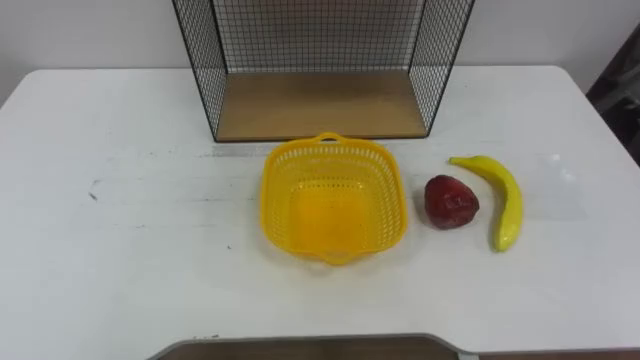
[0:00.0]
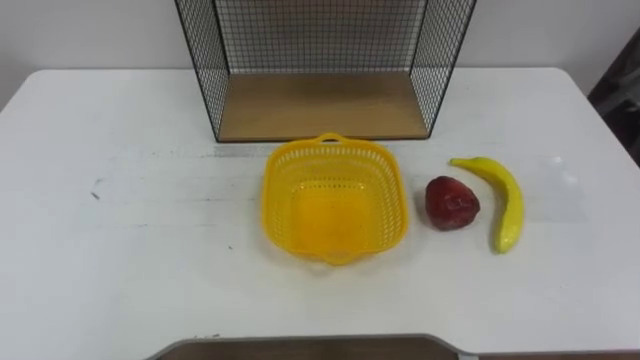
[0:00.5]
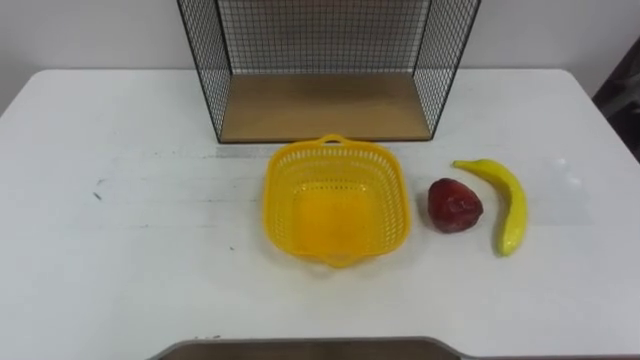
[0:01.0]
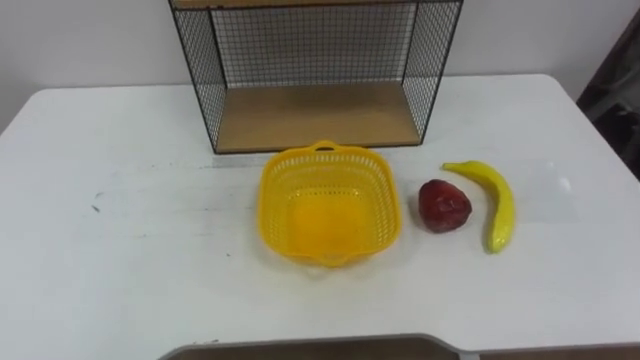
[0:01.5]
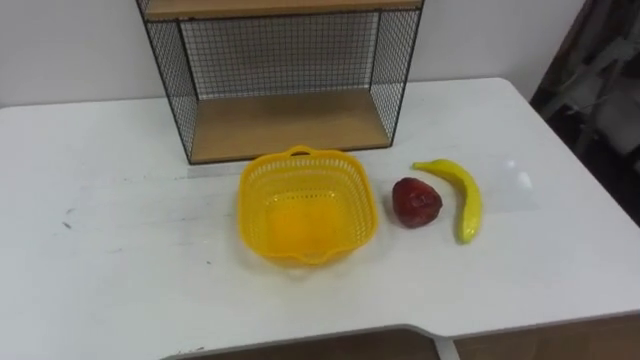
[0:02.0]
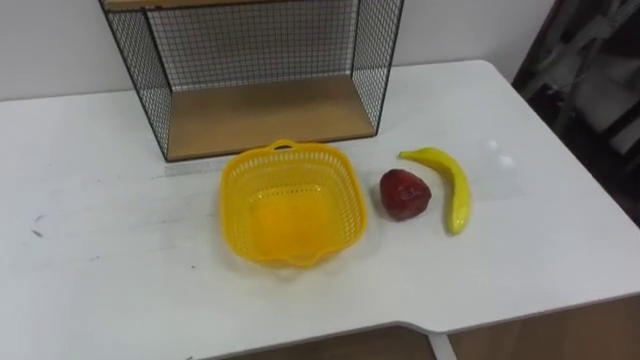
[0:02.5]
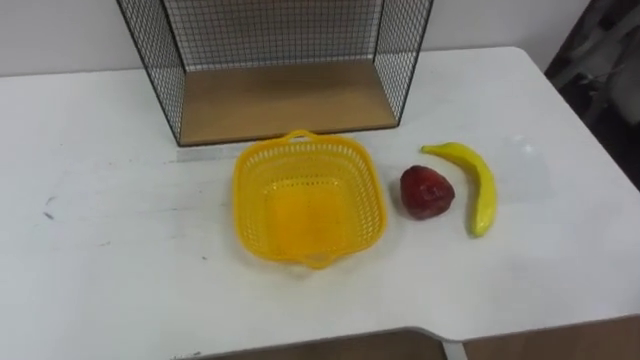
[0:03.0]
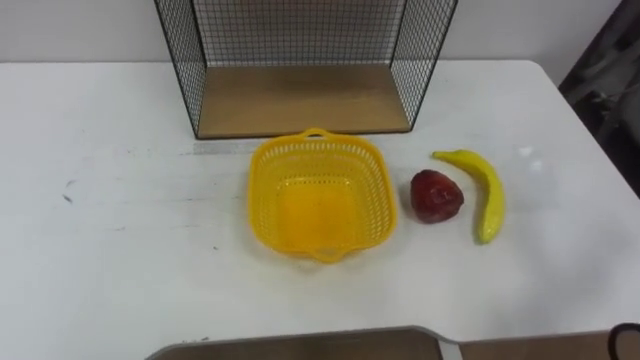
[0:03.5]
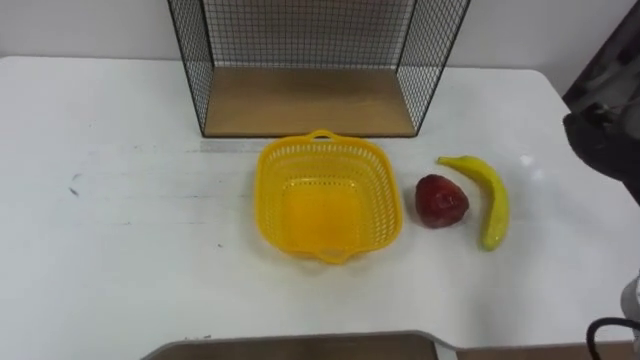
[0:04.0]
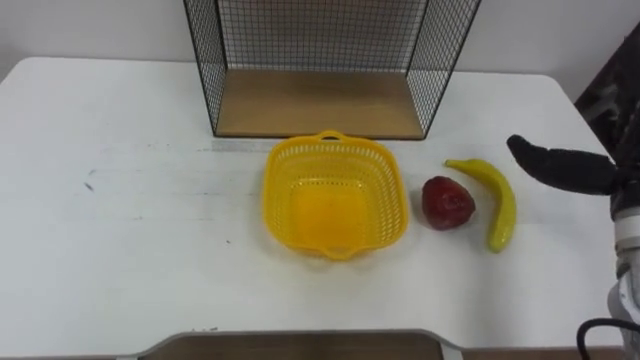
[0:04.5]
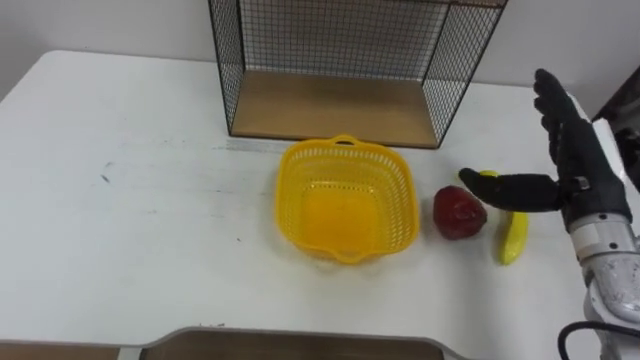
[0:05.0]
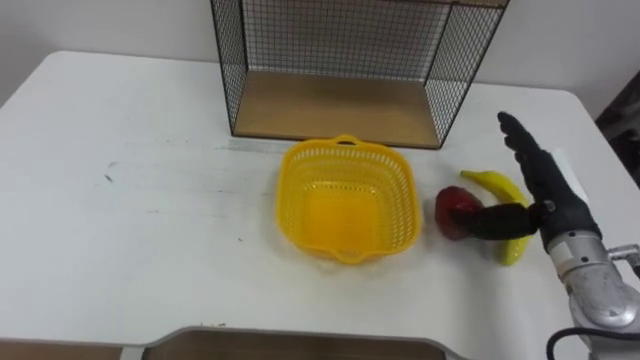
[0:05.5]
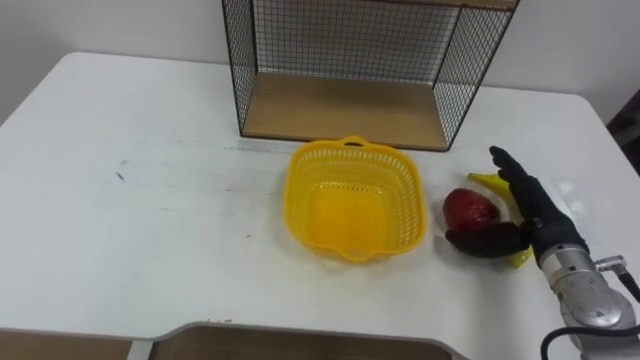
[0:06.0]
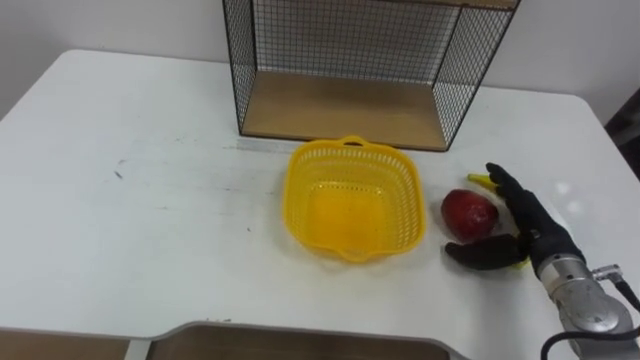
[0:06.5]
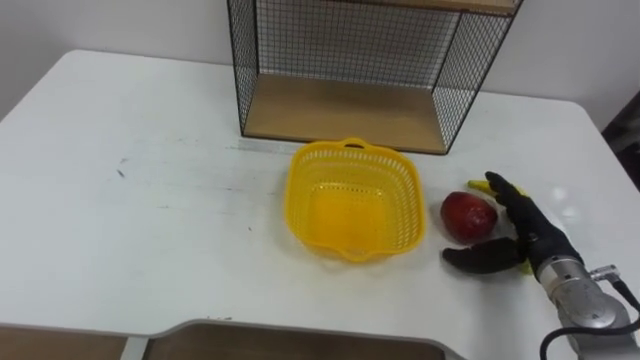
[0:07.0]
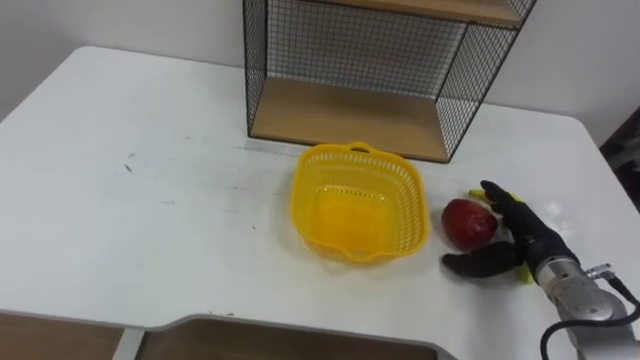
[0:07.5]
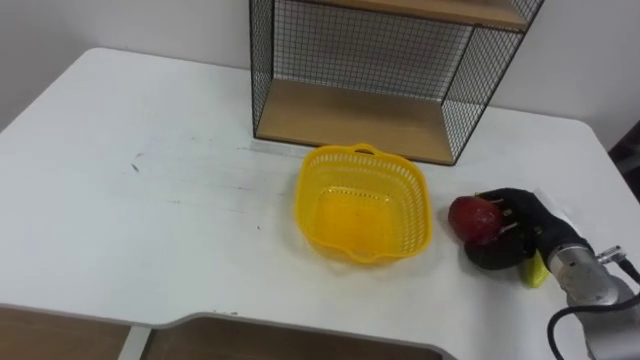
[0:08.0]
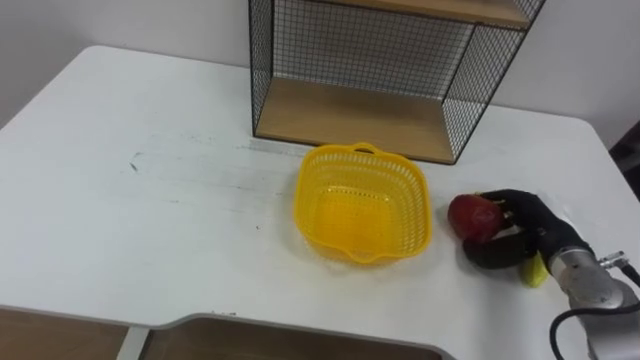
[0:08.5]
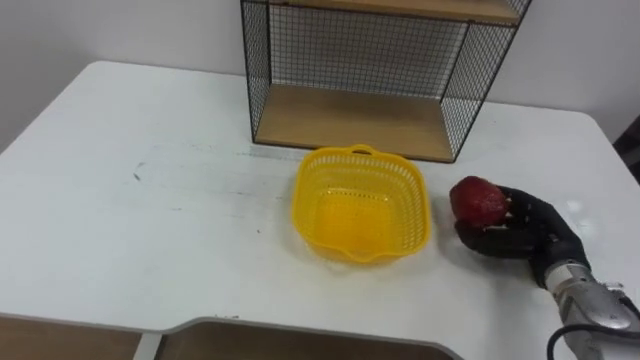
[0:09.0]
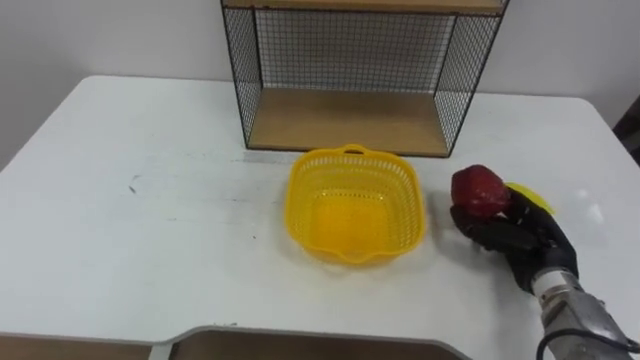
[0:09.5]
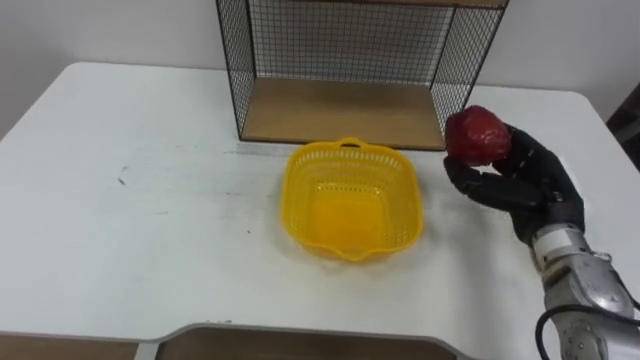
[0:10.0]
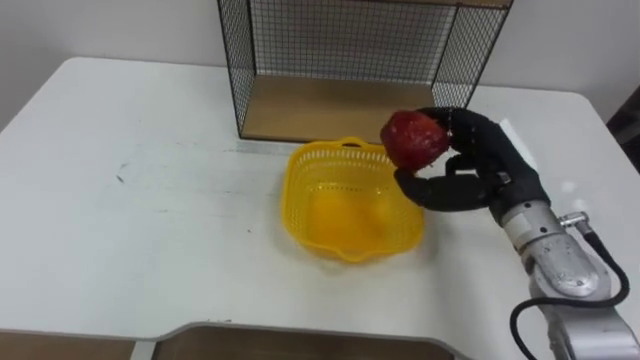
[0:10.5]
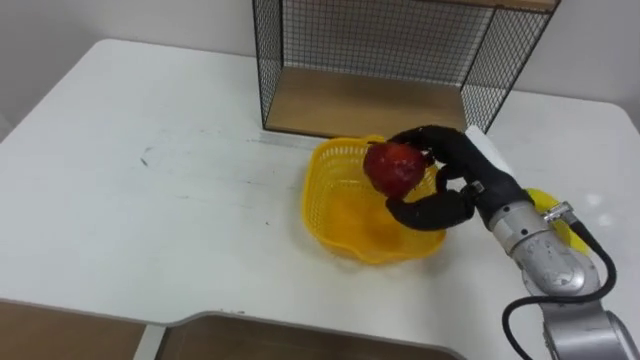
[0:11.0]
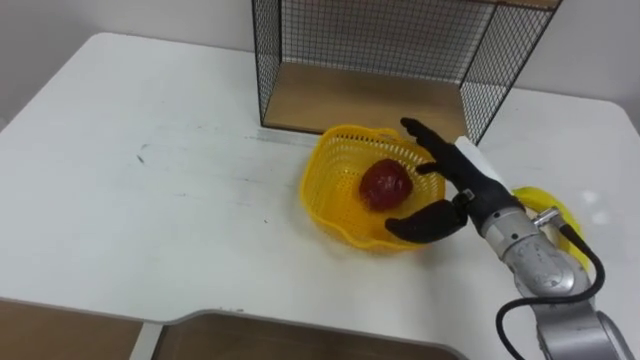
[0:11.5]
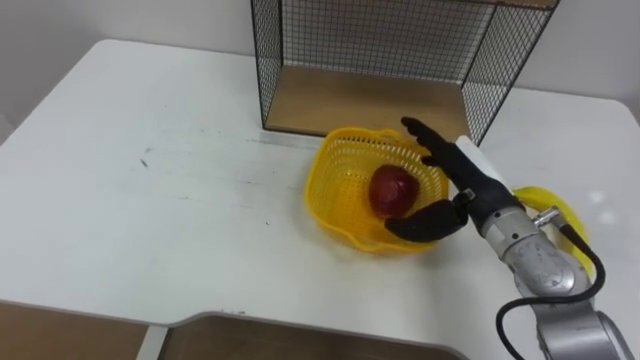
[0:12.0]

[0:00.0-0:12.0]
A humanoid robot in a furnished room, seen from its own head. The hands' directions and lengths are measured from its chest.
Task of the whole recording: Put the fruit on the table into the basket, then place the basket on the shelf.
0:06.0 to 0:08.0: The right hand closes its fingers.
0:08.0 to 0:10.0: The right hand goes roughly 5 cm upward.
0:10.0 to 0:12.0: The right hand heads to the left, covering approximately 10 cm, and opens its fingers.

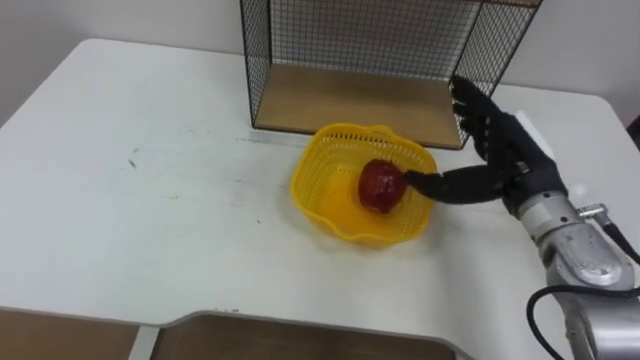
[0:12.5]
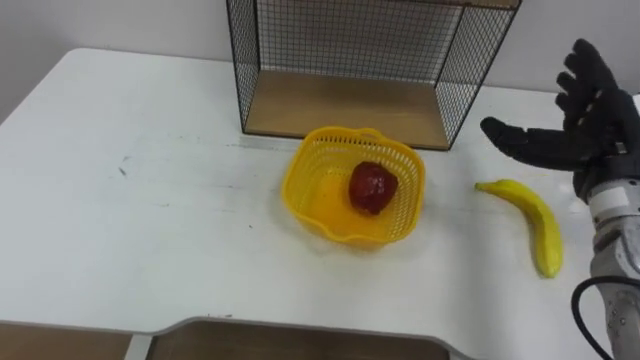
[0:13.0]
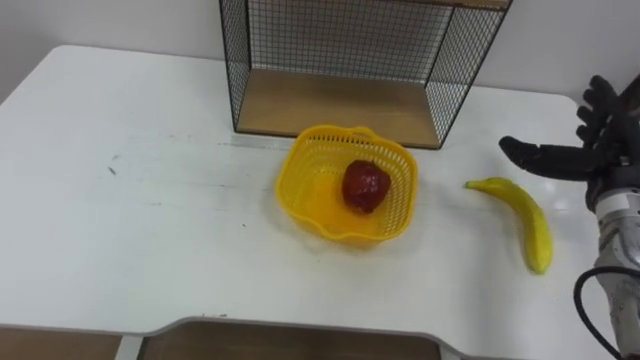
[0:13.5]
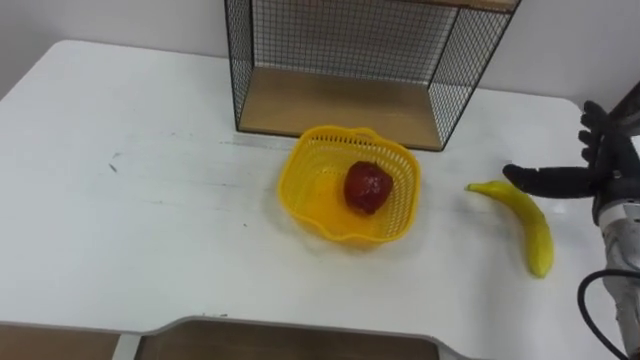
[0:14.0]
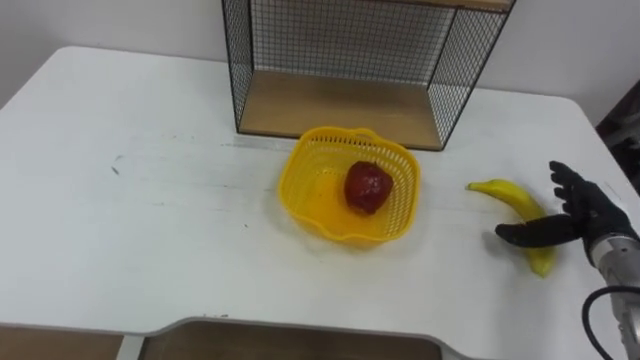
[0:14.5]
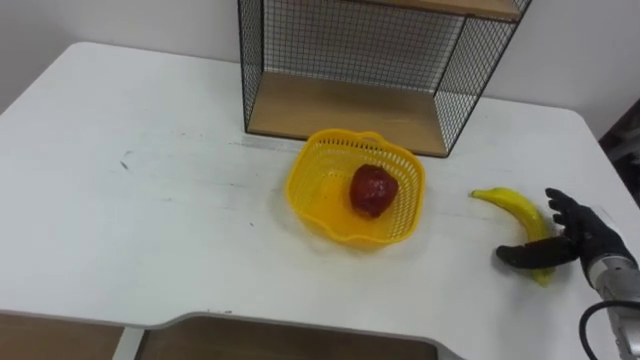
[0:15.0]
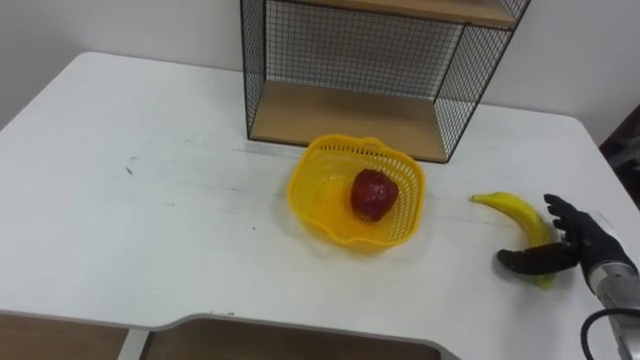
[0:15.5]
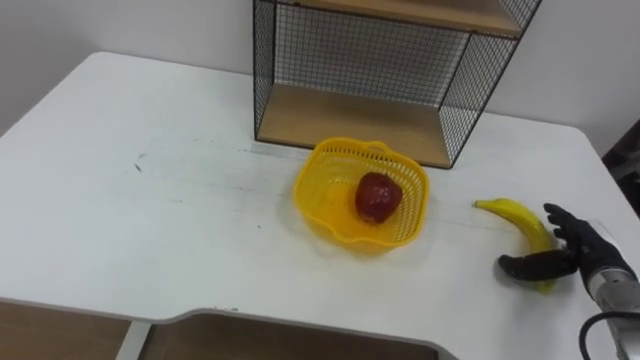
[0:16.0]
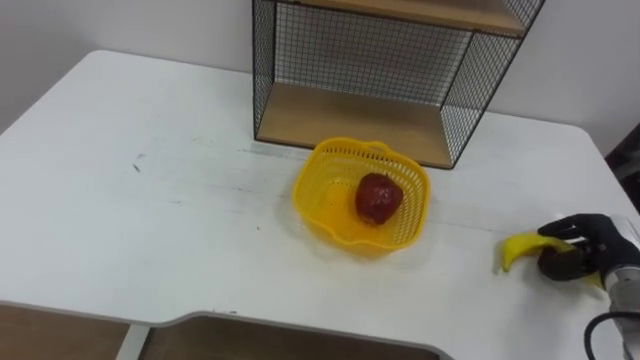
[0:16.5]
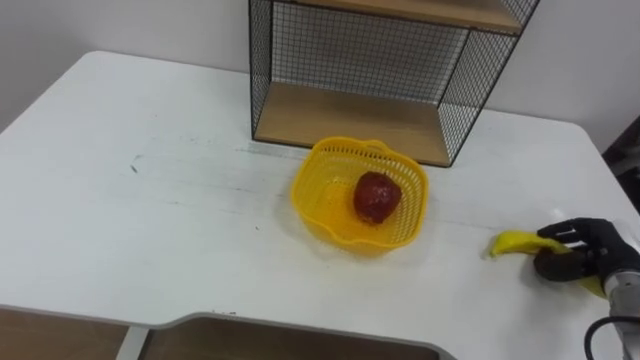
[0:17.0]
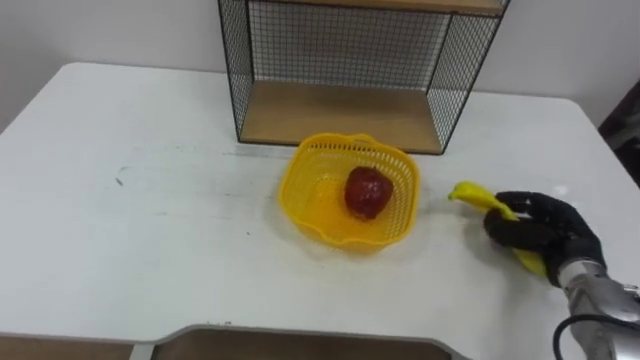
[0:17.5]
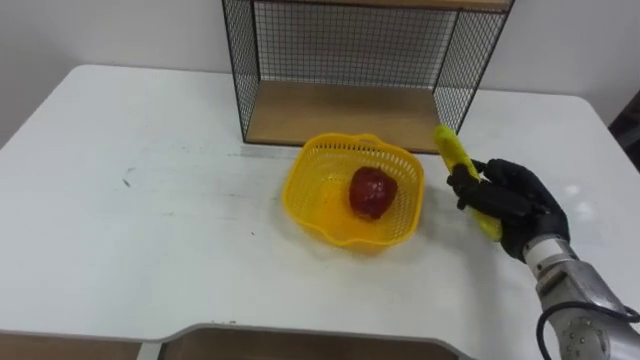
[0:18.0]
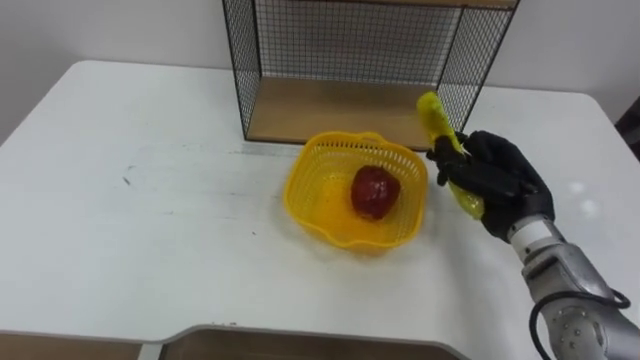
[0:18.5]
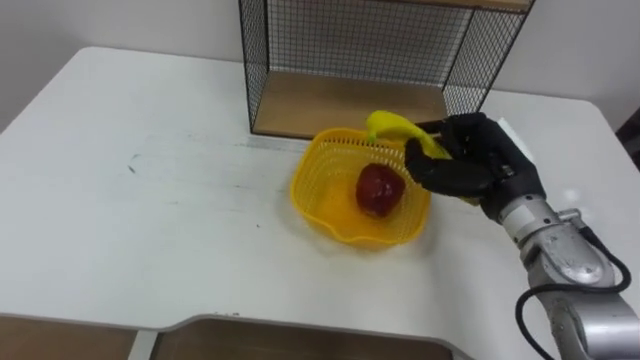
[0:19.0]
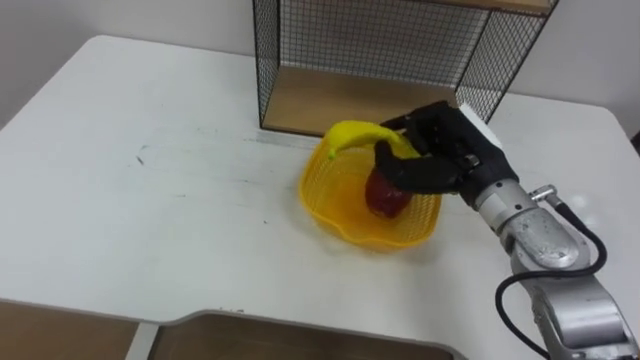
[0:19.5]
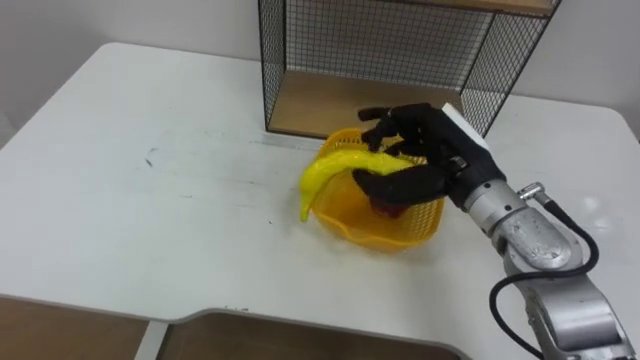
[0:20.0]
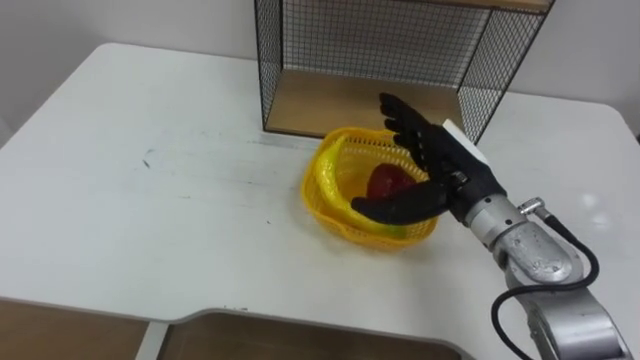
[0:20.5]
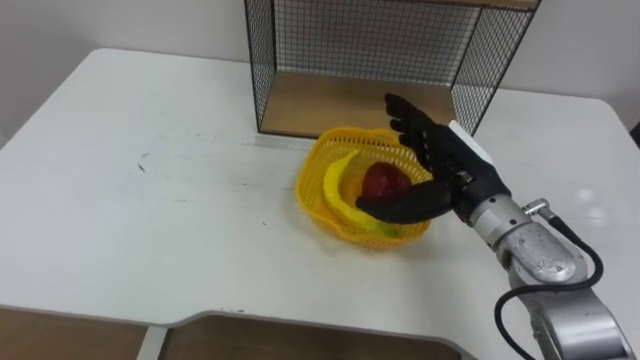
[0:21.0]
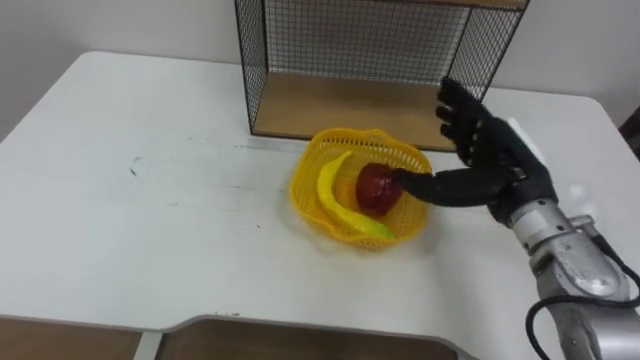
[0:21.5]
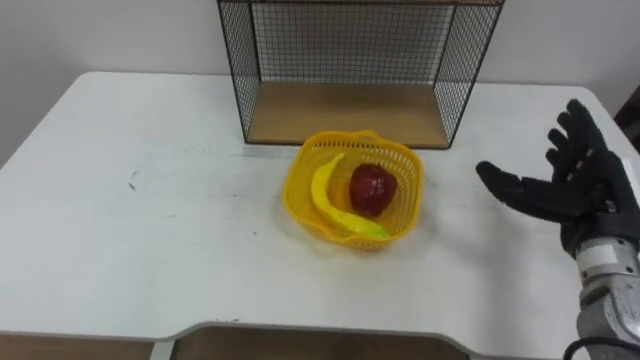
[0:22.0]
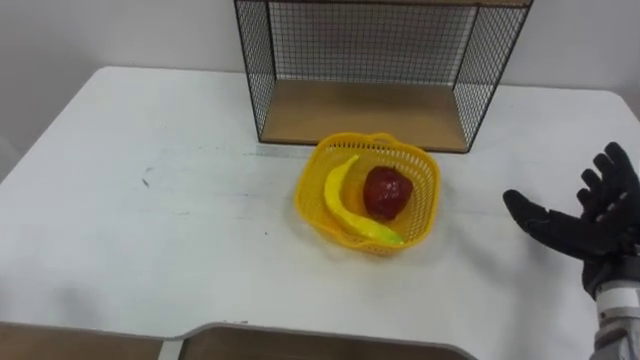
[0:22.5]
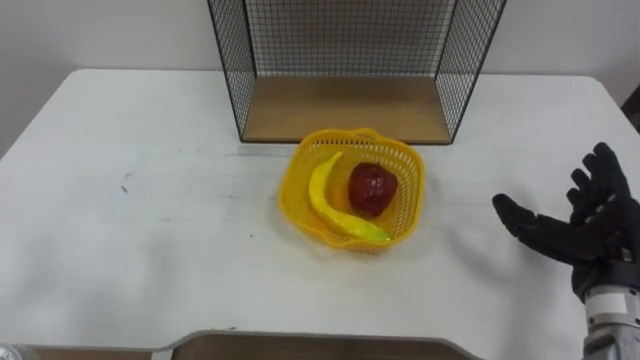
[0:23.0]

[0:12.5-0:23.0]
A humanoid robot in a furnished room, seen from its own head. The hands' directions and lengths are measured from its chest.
Task of the whole recording: Put the fruit on the table into the basket, then place the basket on the shelf.
0:12.5 to 0:14.5: The right hand heads to the right and downward, covering some 15 cm.
0:14.5 to 0:16.5: The right hand changes place by some 5 cm, and closes its fingers.
0:16.5 to 0:19.0: The right hand heads to the left and upward, covering some 20 cm.
0:19.0 to 0:21.0: The right hand opens up.
0:21.0 to 0:23.0: The right hand moves to the right and backward, approximately 20 cm.
